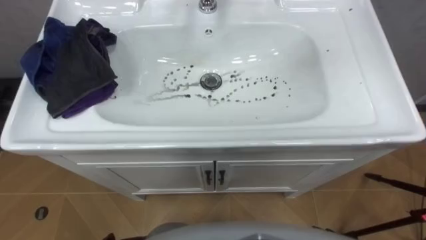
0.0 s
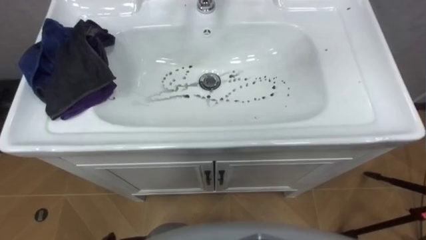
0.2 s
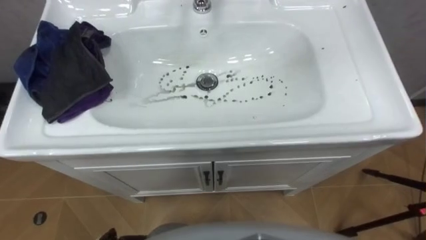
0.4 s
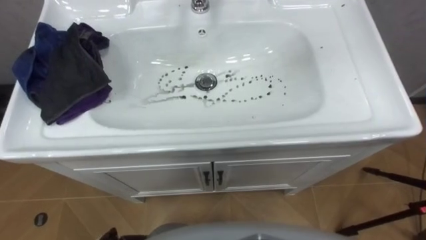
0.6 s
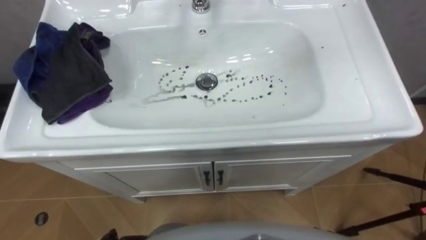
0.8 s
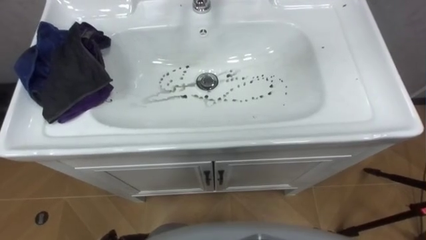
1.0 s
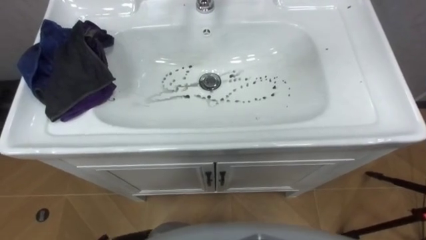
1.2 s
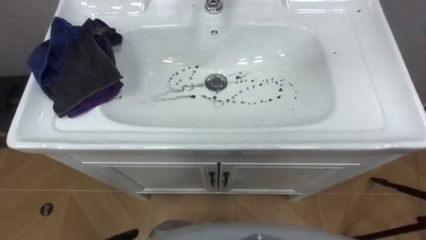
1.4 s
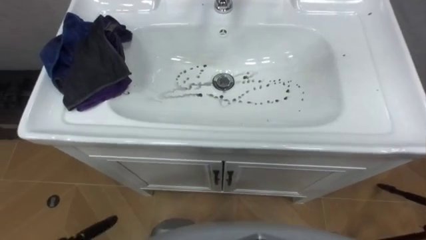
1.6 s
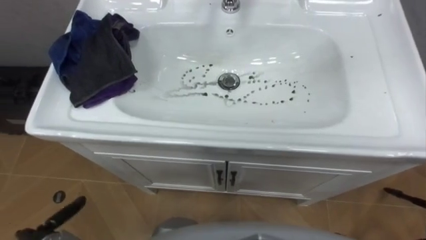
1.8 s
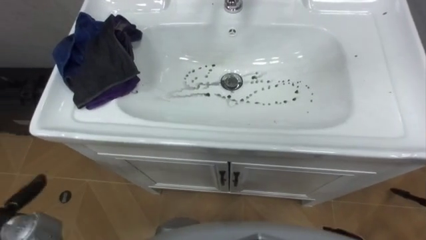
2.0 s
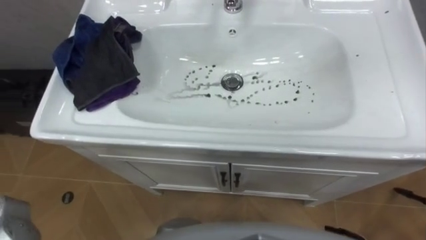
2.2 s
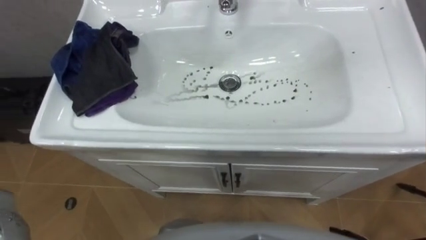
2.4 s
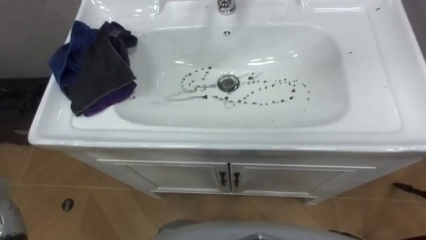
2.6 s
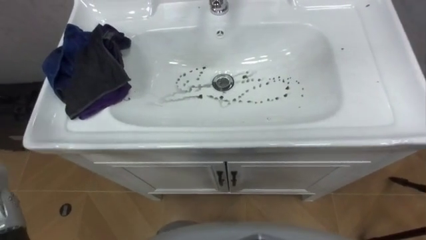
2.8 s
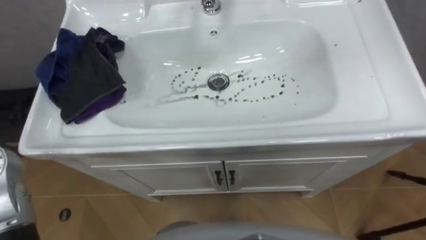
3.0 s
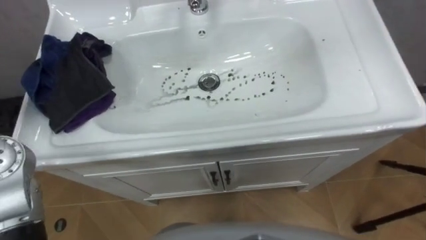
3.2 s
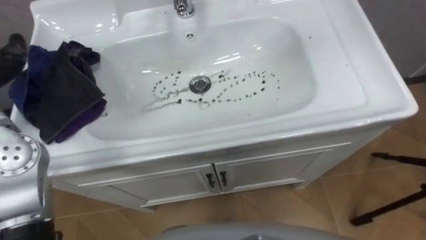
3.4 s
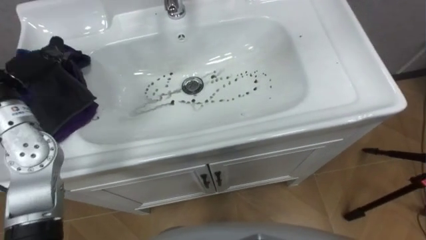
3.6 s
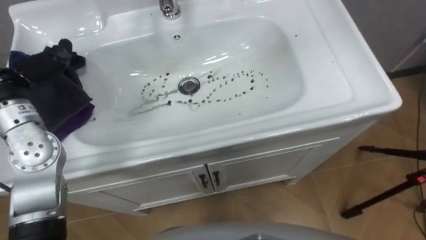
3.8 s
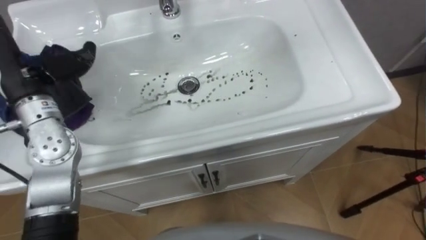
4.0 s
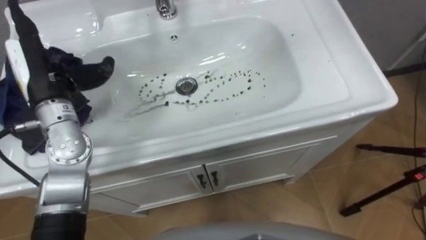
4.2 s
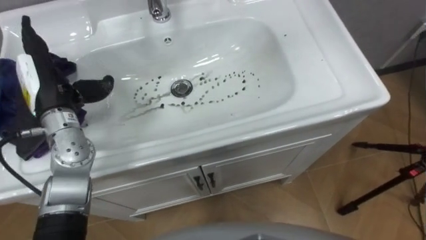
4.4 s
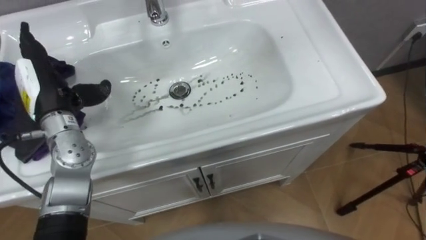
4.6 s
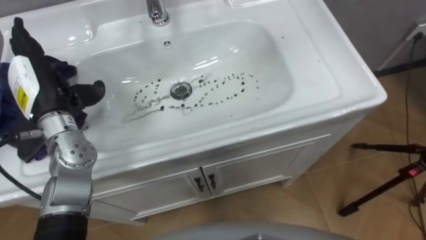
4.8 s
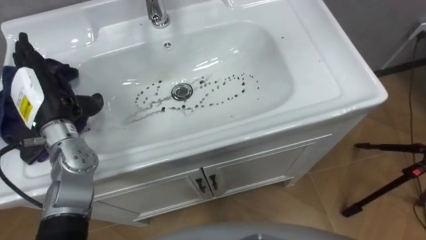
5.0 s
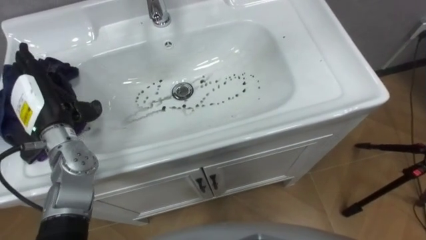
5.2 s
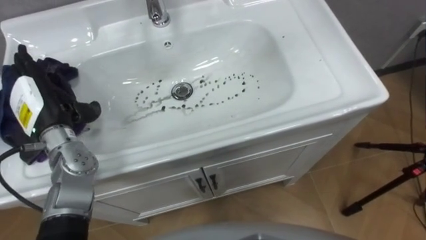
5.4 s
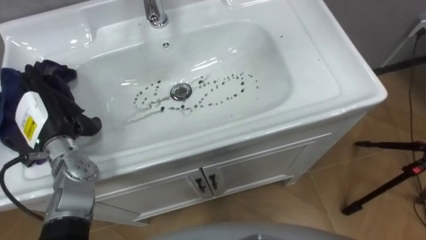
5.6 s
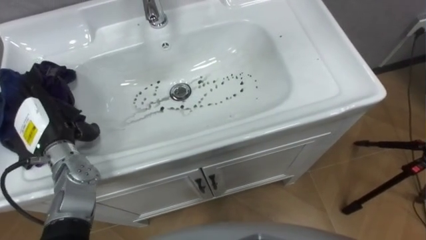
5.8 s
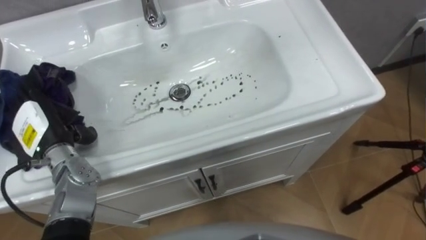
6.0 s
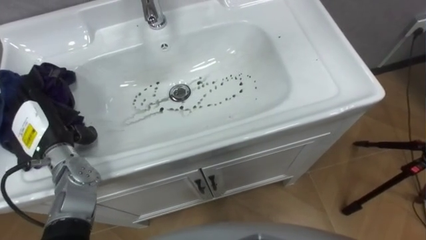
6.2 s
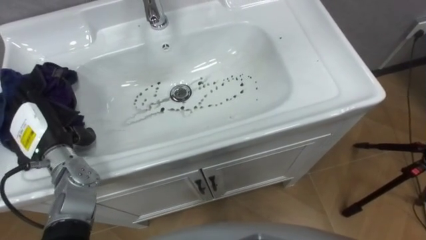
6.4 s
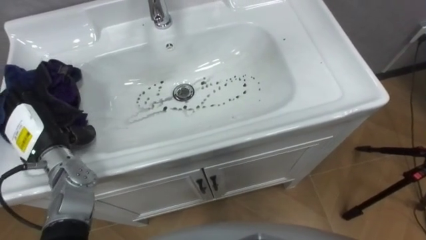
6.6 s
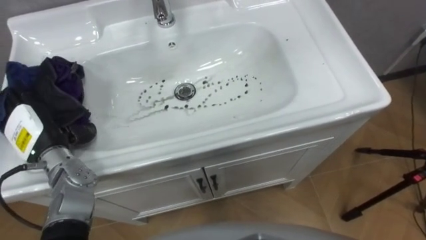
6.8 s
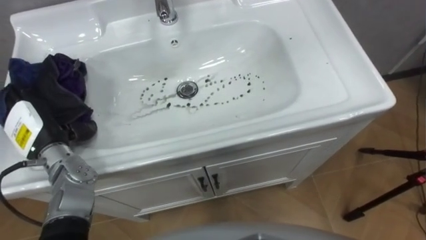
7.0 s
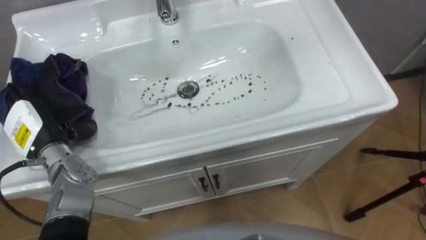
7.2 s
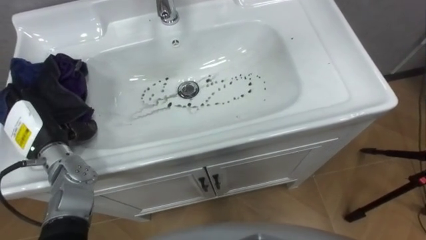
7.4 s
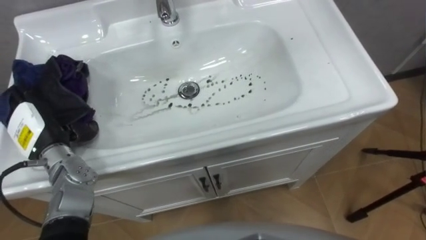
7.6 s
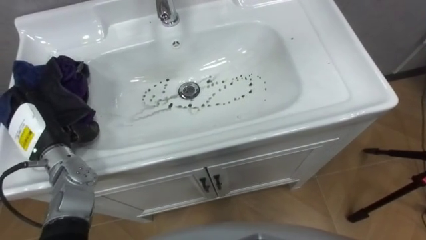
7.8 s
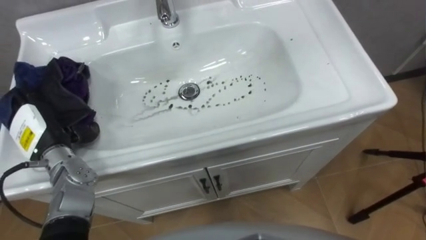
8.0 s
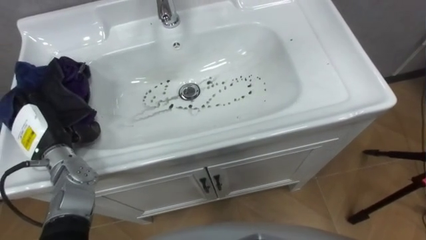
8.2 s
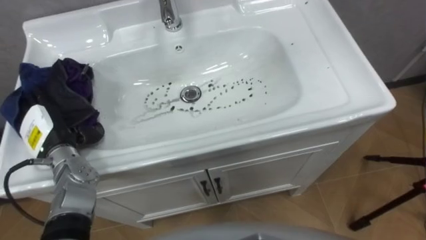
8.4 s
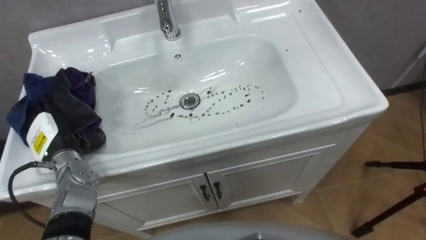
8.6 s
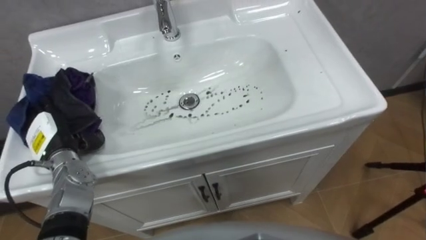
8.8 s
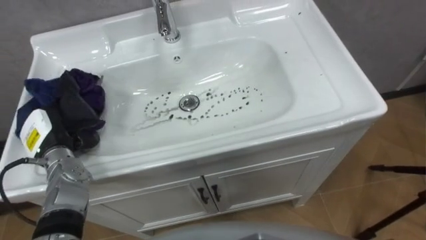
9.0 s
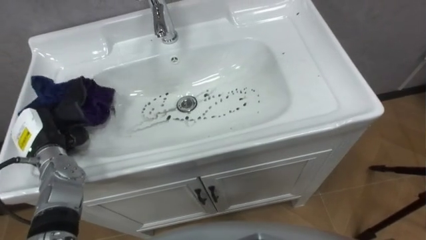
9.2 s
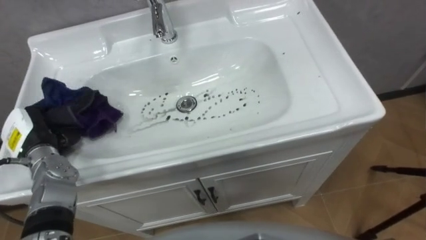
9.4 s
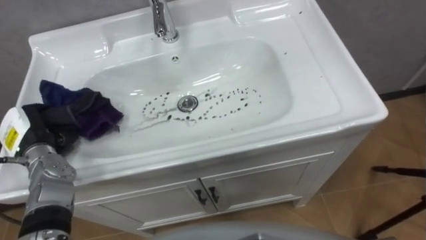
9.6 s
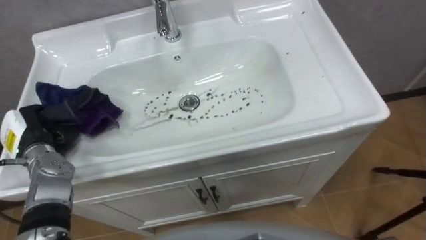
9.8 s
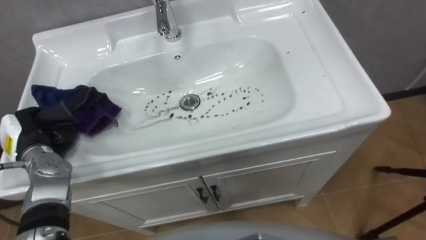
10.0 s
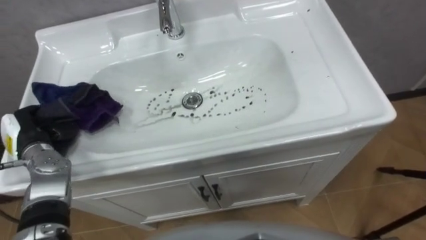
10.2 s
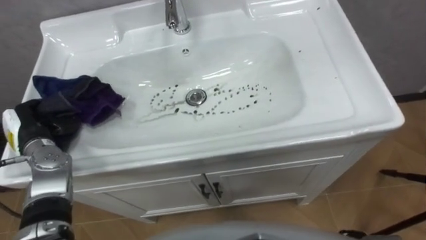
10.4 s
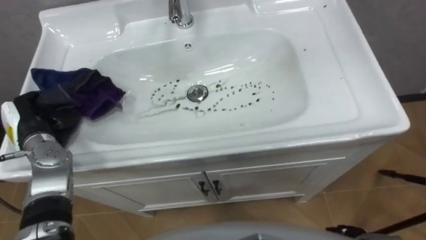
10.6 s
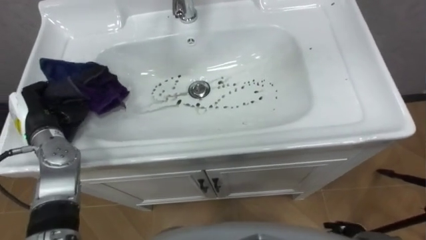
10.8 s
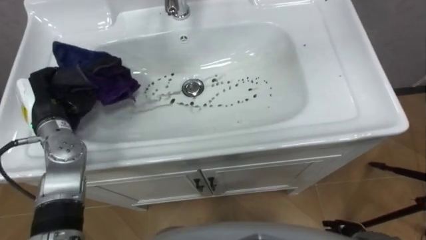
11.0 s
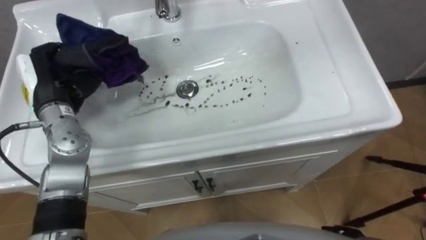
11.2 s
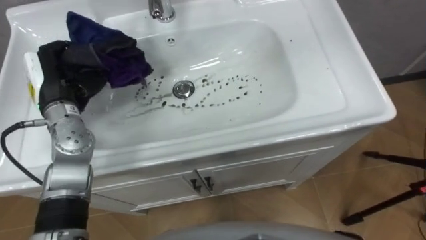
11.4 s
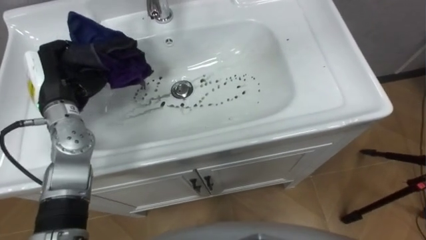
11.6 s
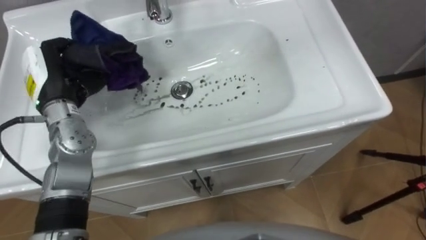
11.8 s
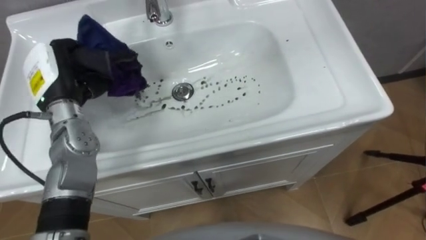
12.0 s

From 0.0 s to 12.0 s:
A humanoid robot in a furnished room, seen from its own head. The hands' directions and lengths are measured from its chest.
Task of the whole recording: Use the cloth on the right to wipe away the black stain in the sink.
From 4.4 s to 6.0 s: The left hand moves downward, roughly 10 cm.
From 9.0 s to 10.4 s: The left hand closes its fingers.
From 10.4 s to 12.0 s: The left hand shifts roughly 15 cm upward, to the right and forward.

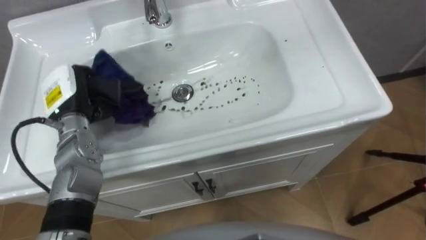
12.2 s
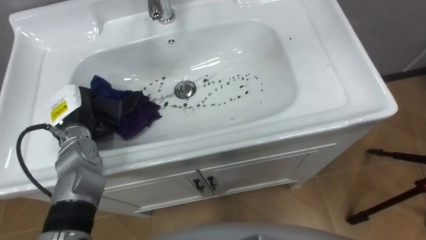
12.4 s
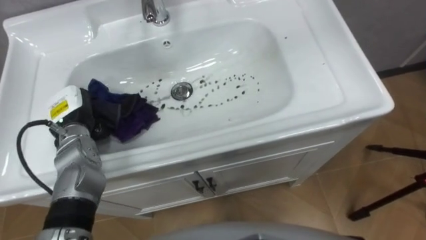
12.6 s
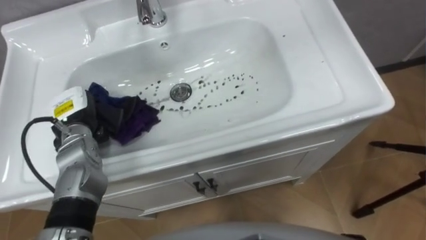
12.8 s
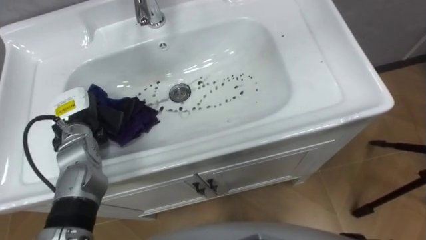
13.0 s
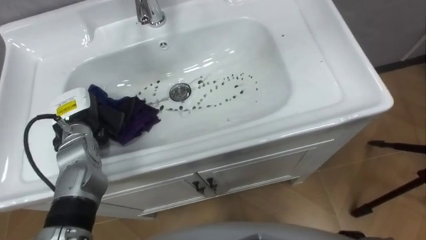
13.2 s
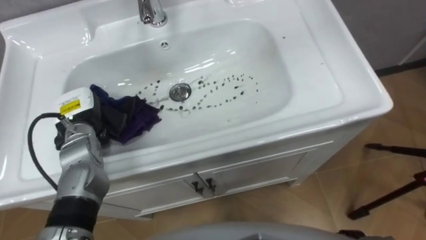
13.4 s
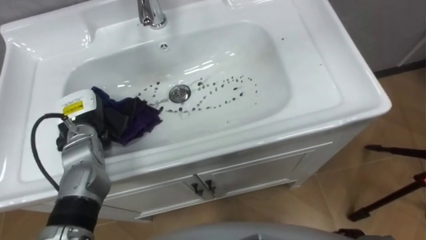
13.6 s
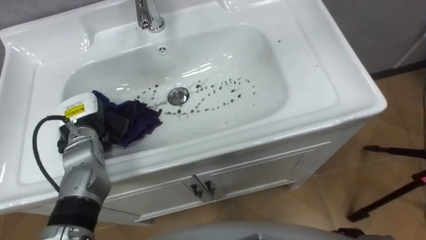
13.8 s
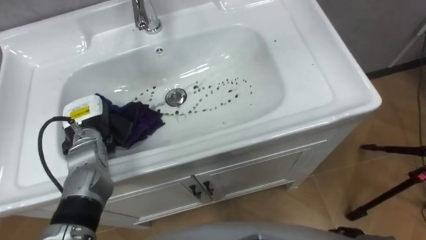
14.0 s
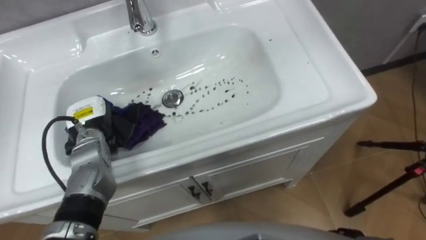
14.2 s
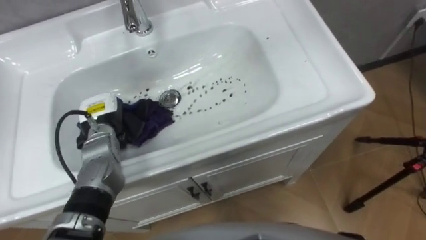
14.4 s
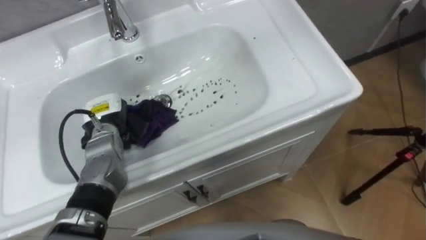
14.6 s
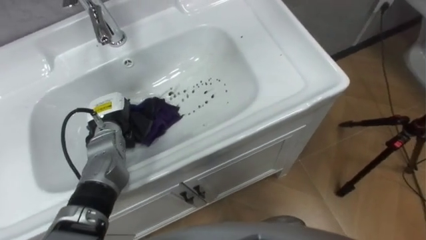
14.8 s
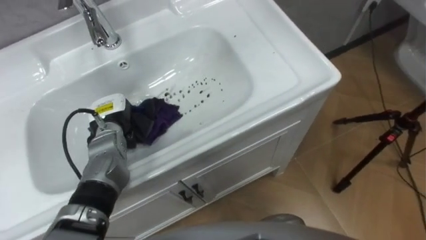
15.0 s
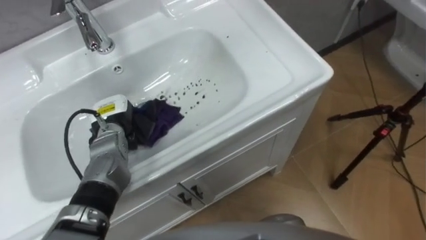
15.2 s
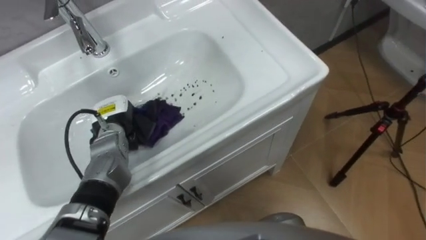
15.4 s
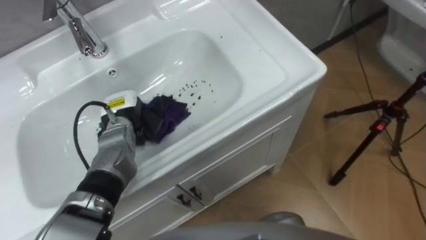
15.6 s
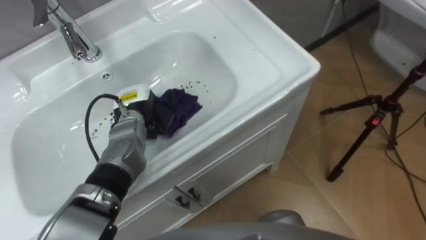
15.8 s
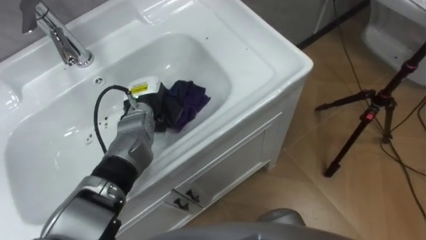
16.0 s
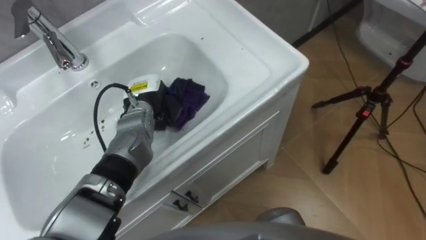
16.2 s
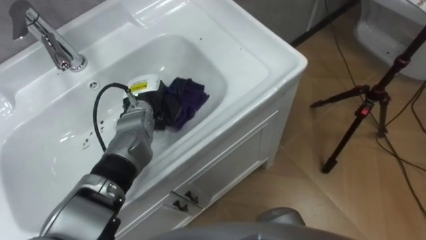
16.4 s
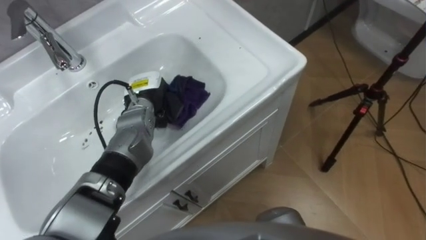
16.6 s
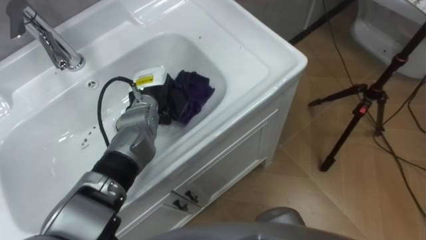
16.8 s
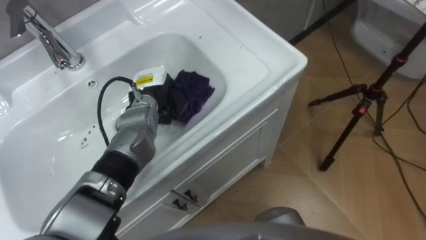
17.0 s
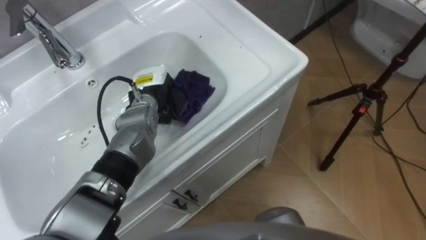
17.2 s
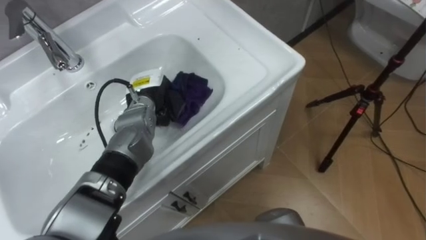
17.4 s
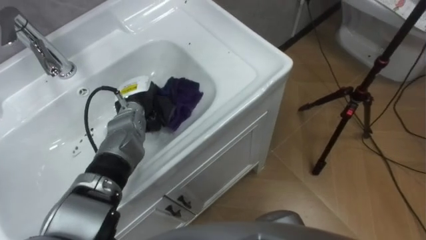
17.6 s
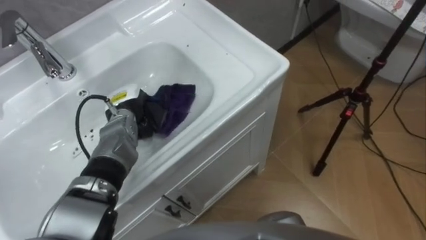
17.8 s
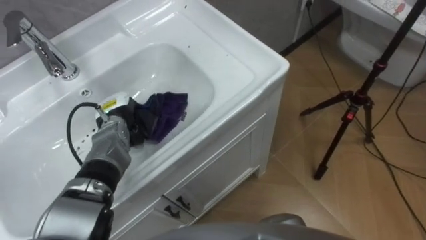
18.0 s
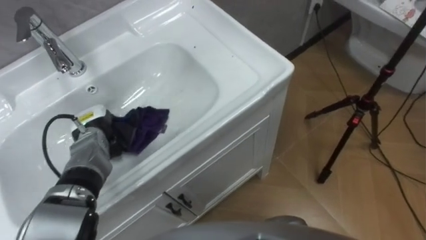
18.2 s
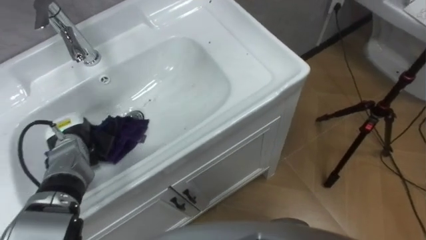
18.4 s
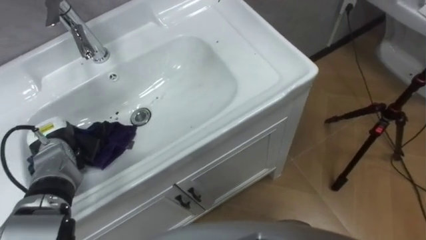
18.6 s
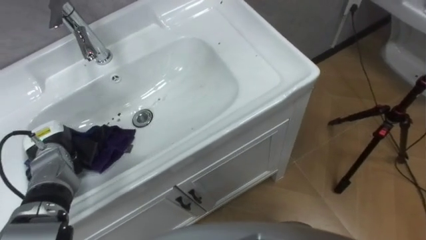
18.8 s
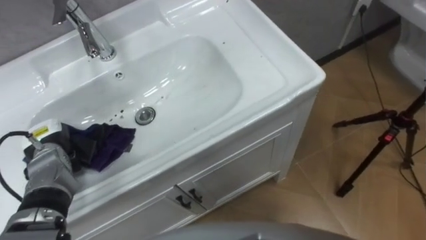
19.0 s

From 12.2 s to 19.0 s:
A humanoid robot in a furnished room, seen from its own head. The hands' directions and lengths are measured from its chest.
Task of the whole recording: Use the cloth on the right to wipe away the black stain in the sink.
From 12.2 s to 13.6 s: The left hand heads downward, covering some 5 cm.
From 13.6 s to 15.0 s: The left hand moves to the right, some 5 cm.
From 15.0 s to 16.2 s: The left hand heads to the right, covering roughly 10 cm.
From 17.6 s to 19.0 s: The left hand is displaced to the left and backward by some 20 cm.
